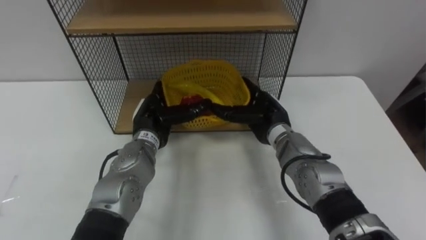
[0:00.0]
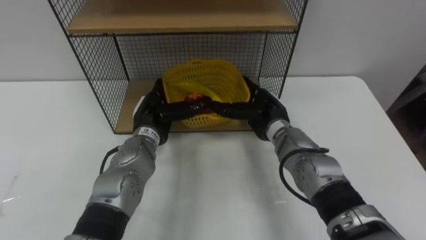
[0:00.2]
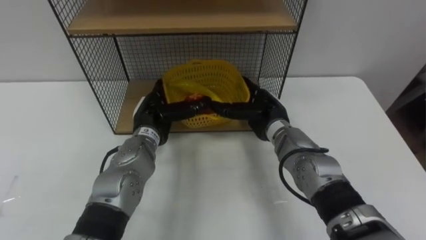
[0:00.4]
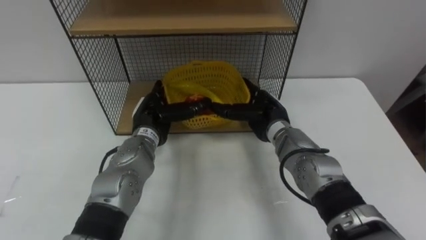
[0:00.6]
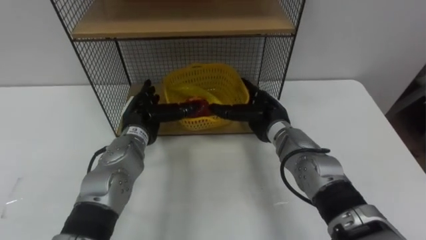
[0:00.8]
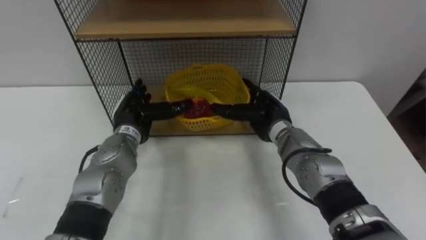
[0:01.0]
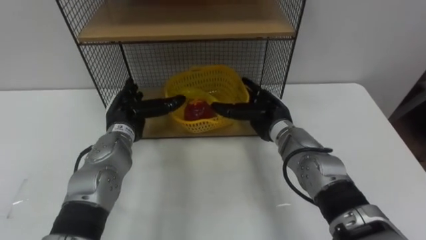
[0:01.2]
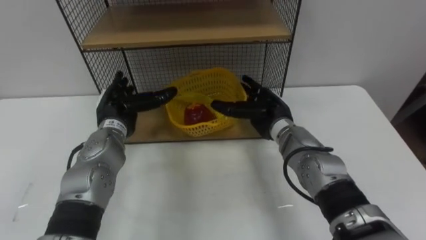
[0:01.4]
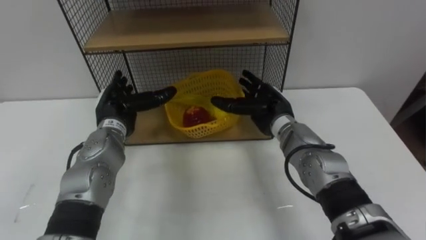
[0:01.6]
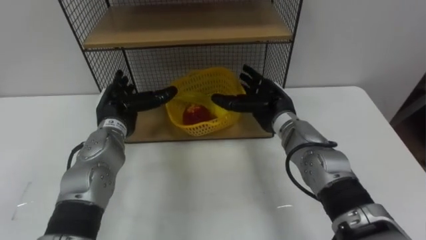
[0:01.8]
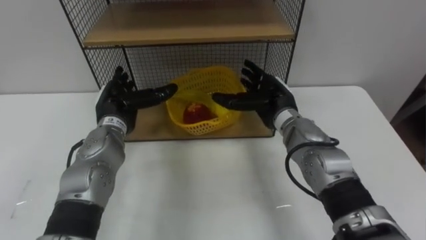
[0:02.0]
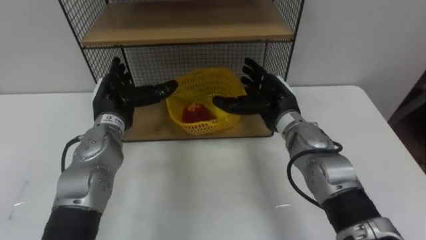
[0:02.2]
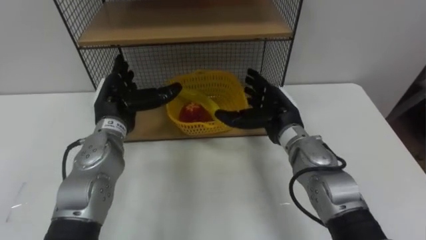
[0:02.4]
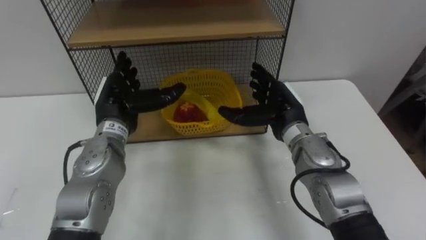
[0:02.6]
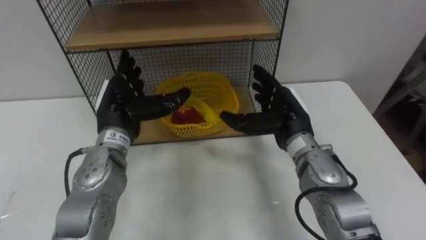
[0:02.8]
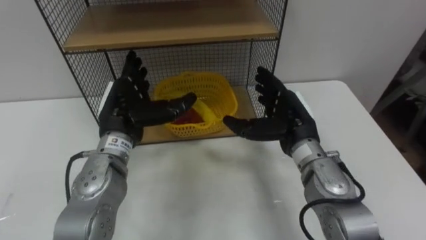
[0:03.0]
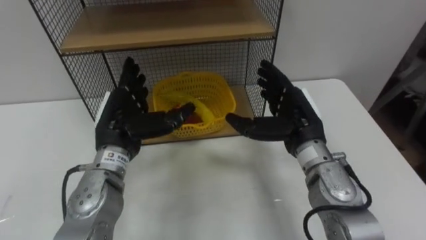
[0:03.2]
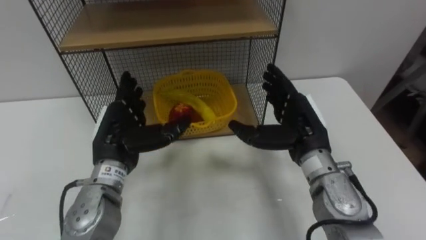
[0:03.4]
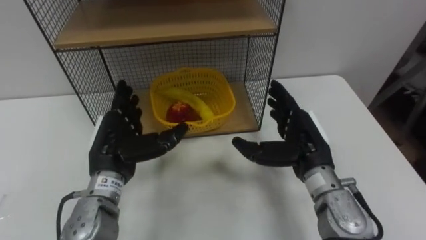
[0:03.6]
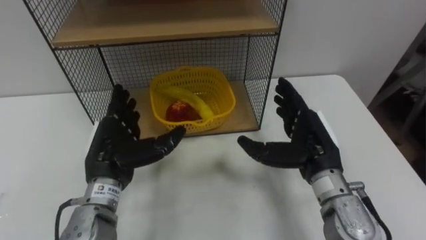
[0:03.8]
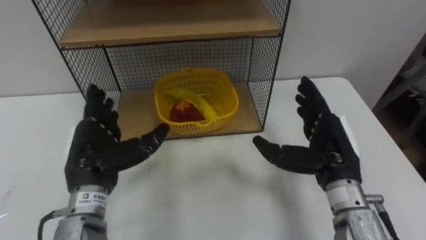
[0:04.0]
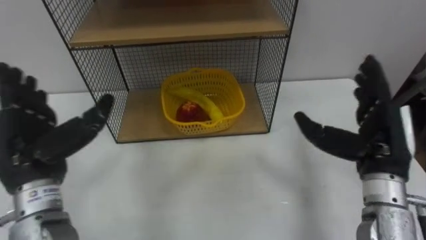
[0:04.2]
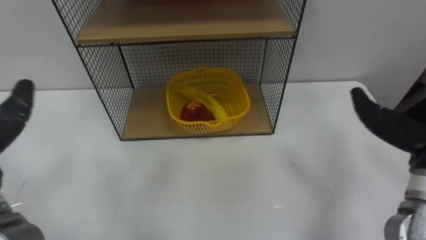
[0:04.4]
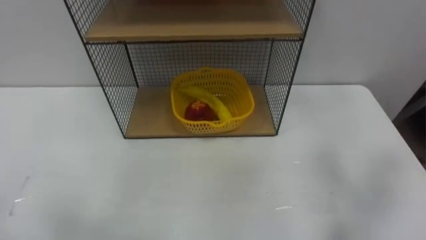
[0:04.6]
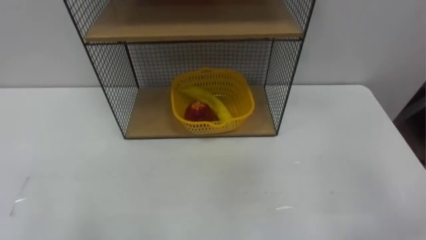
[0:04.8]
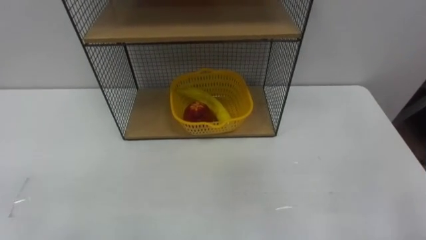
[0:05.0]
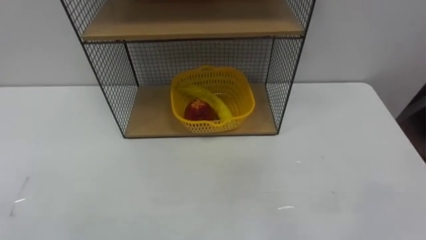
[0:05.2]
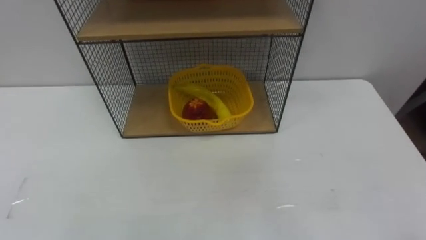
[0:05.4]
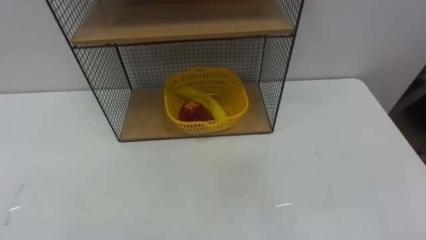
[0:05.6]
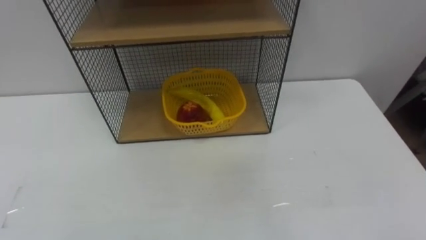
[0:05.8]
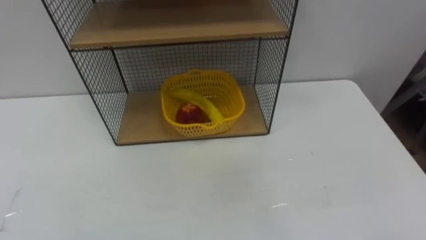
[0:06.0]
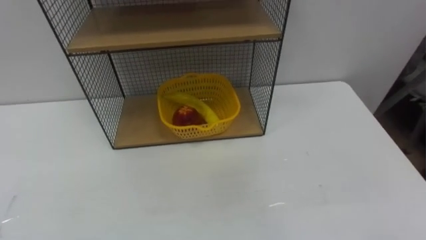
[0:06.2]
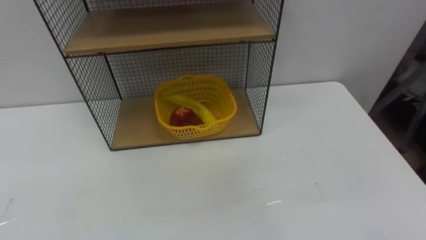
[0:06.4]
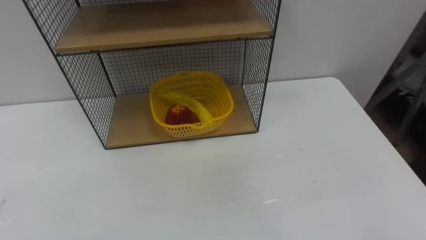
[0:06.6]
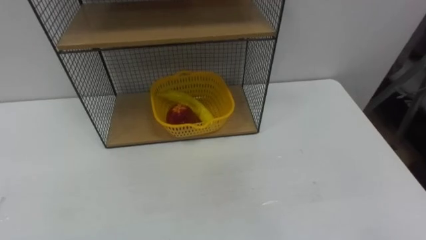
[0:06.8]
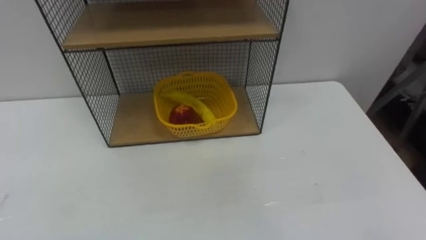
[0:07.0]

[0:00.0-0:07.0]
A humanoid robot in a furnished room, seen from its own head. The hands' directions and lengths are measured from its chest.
Task of the whole recording: Put the fruit on the table into the basket, then place the basket on the shelf.
0.0 to 1.4 s: The left hand heads to the left, covering approximately 5 cm.
1.4 to 2.8 s: The right hand changes place by about 5 cm; the left hand ends up some 5 cm from where it was.
2.8 to 4.2 s: The right hand heads to the right and backward, covering roughly 15 cm, while the left hand moves backward and to the left, roughly 15 cm.

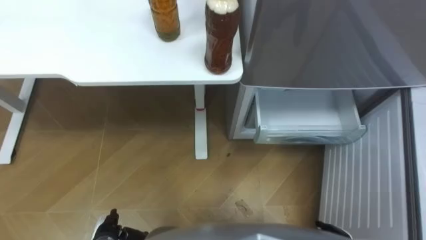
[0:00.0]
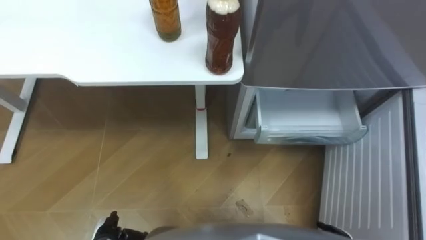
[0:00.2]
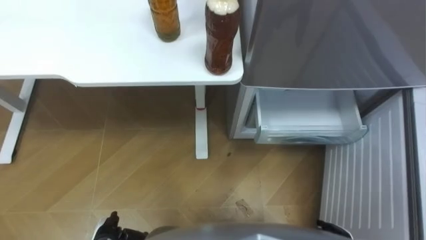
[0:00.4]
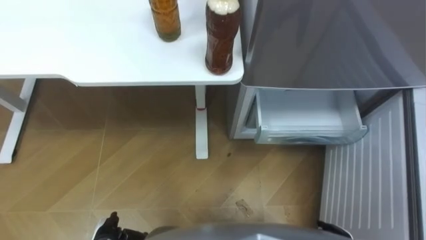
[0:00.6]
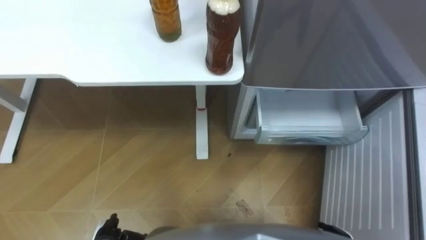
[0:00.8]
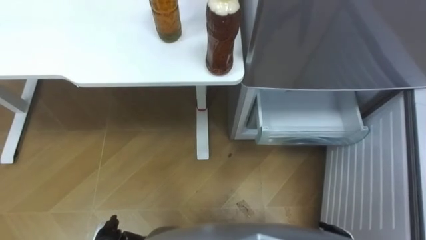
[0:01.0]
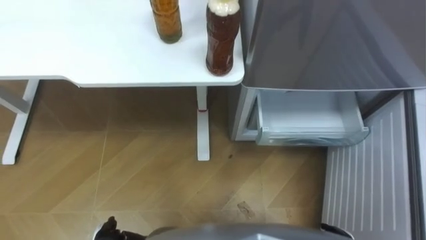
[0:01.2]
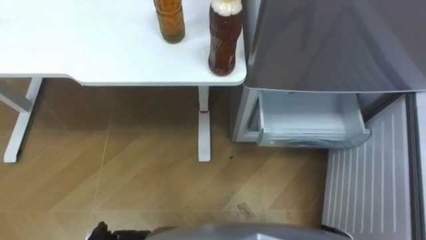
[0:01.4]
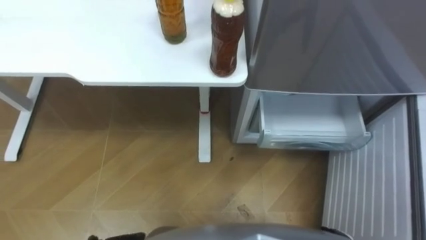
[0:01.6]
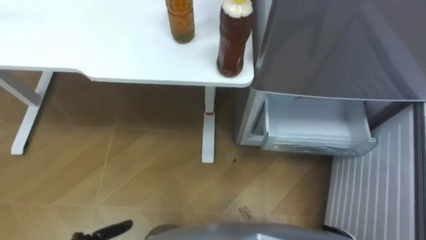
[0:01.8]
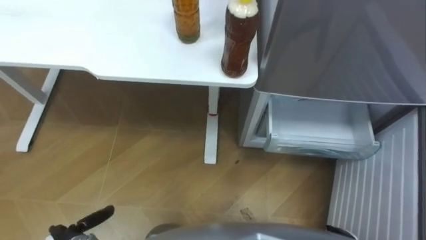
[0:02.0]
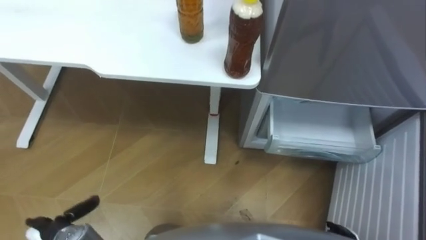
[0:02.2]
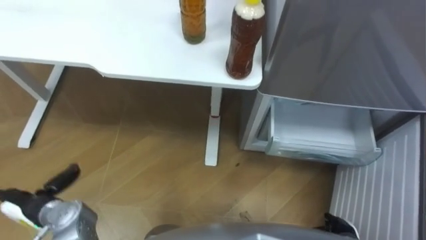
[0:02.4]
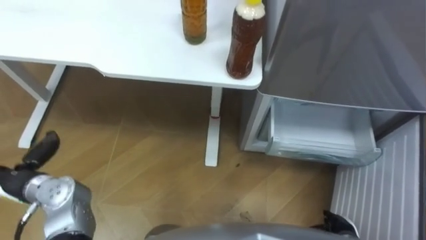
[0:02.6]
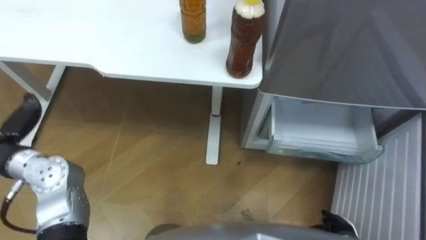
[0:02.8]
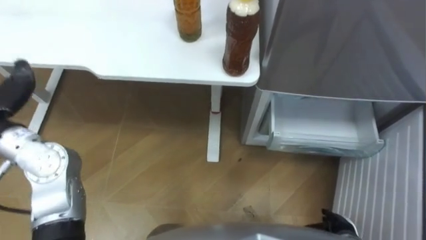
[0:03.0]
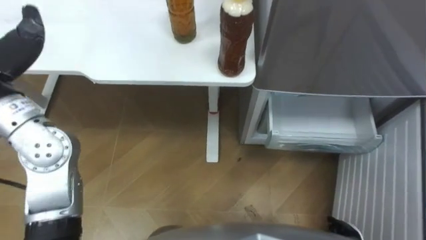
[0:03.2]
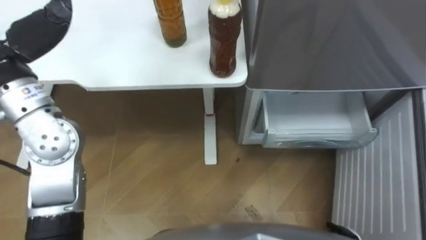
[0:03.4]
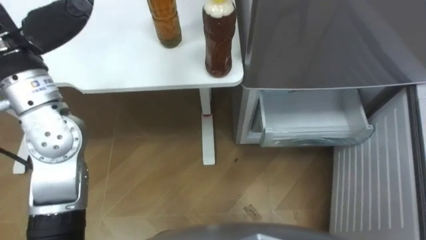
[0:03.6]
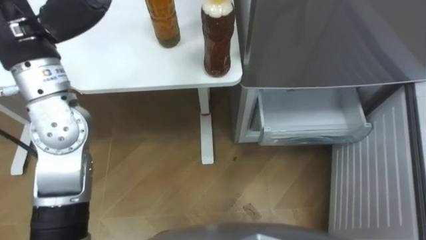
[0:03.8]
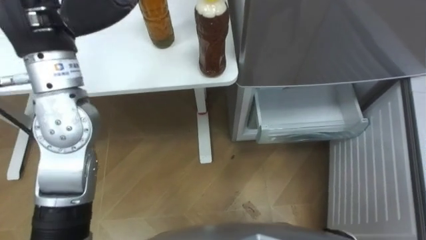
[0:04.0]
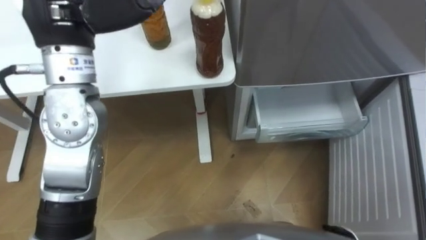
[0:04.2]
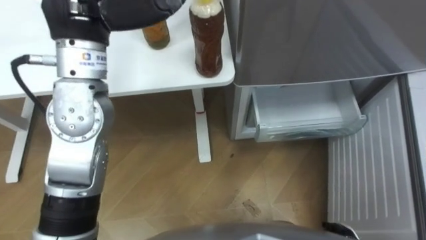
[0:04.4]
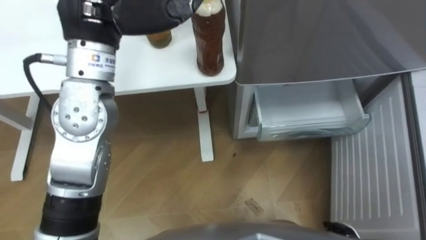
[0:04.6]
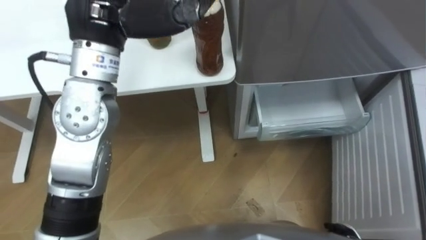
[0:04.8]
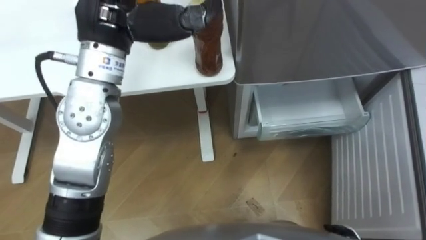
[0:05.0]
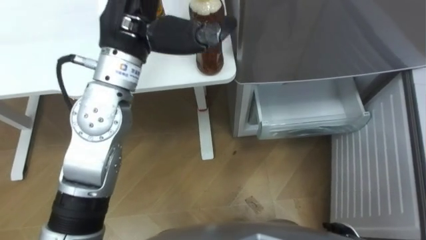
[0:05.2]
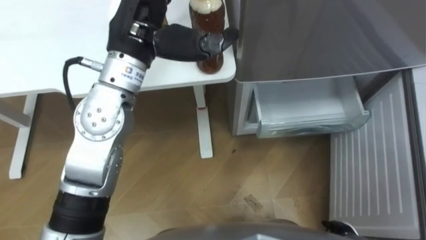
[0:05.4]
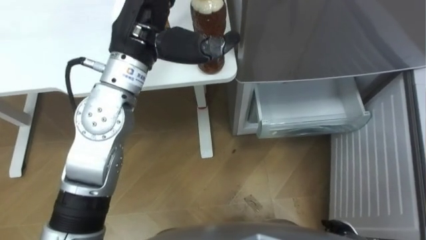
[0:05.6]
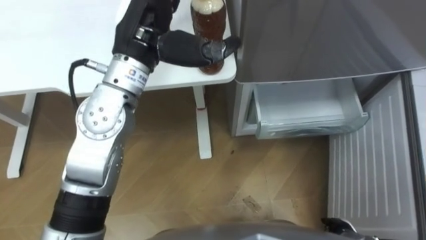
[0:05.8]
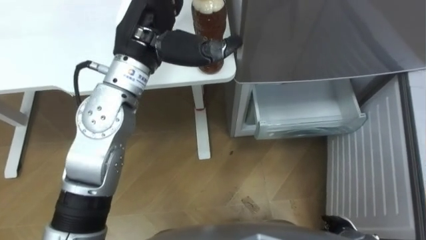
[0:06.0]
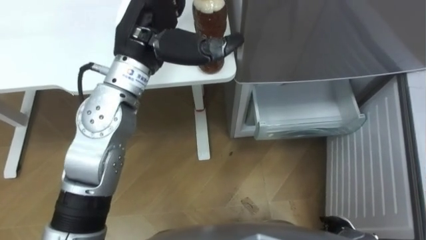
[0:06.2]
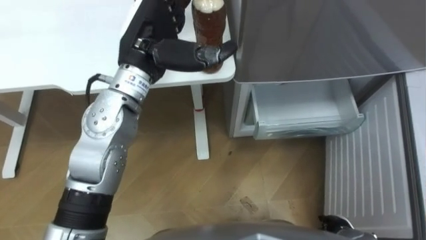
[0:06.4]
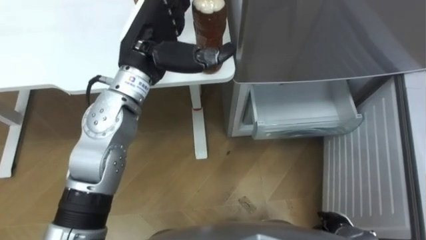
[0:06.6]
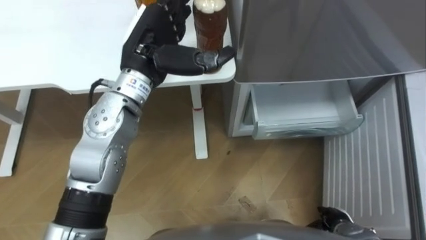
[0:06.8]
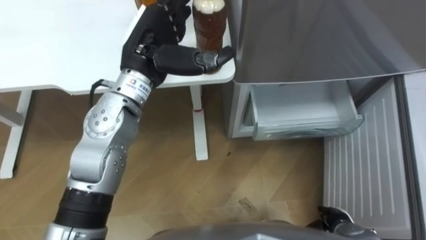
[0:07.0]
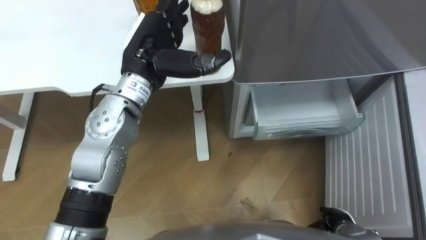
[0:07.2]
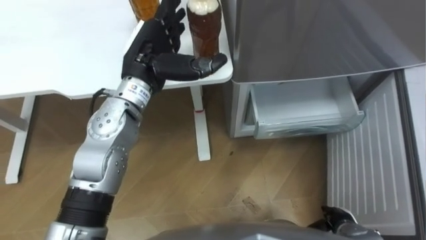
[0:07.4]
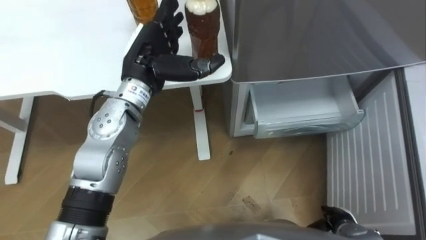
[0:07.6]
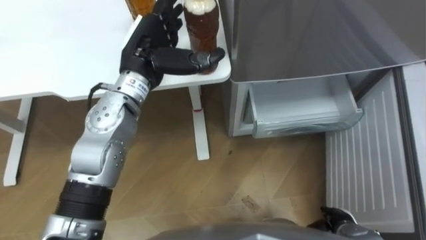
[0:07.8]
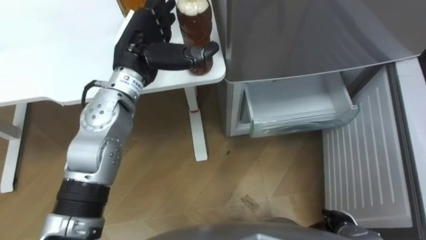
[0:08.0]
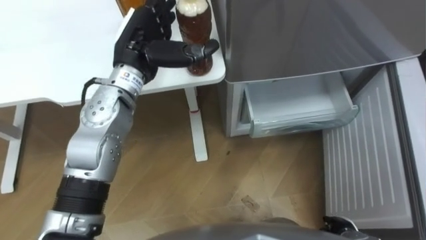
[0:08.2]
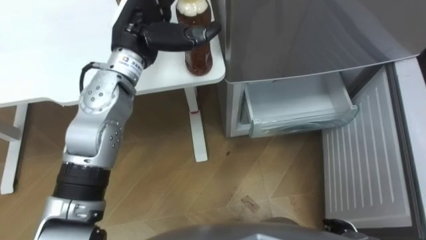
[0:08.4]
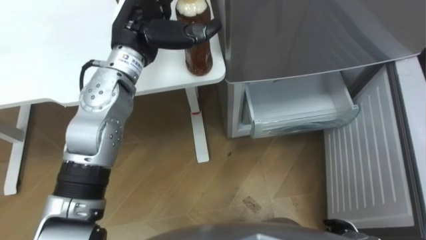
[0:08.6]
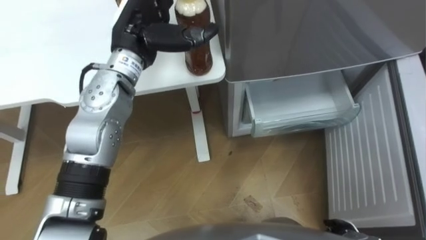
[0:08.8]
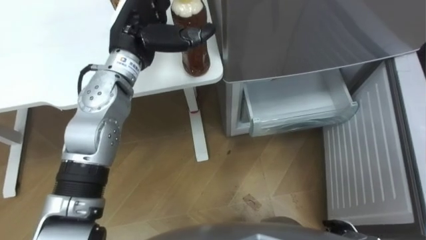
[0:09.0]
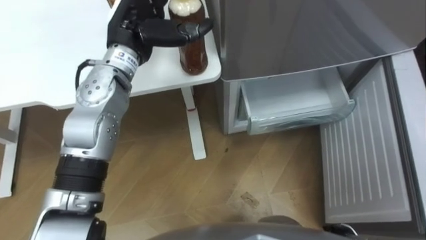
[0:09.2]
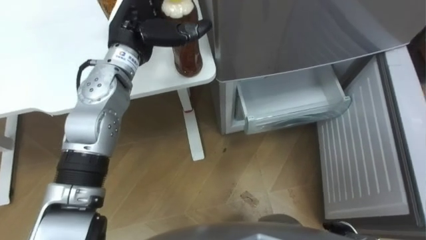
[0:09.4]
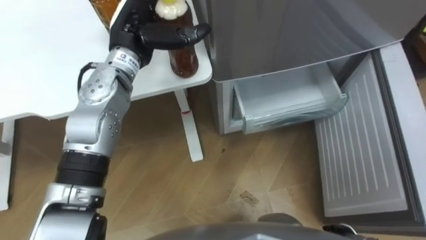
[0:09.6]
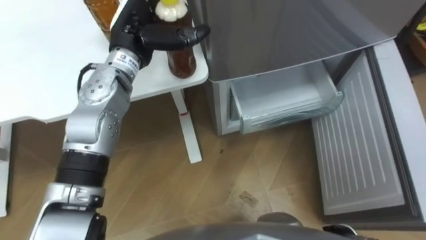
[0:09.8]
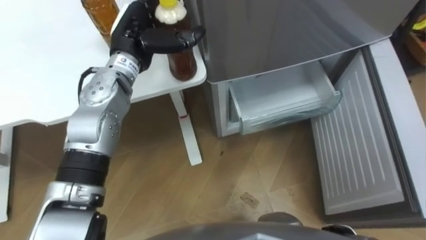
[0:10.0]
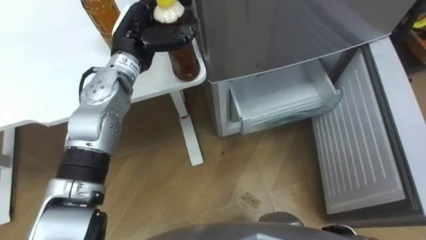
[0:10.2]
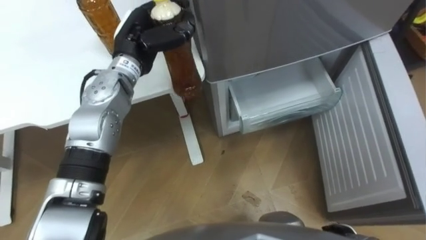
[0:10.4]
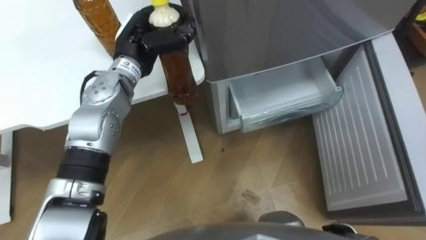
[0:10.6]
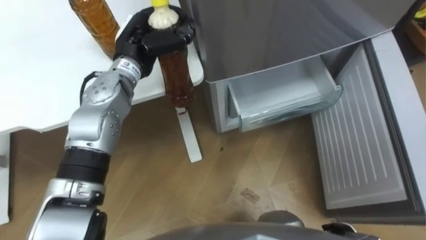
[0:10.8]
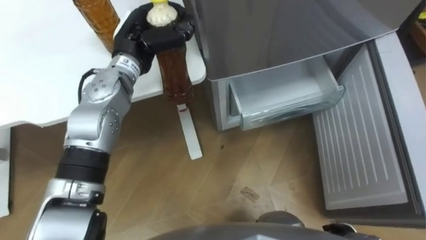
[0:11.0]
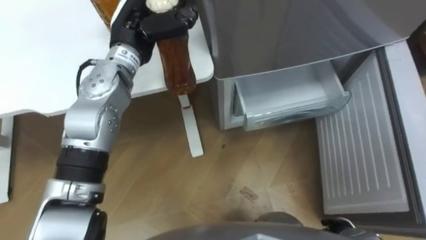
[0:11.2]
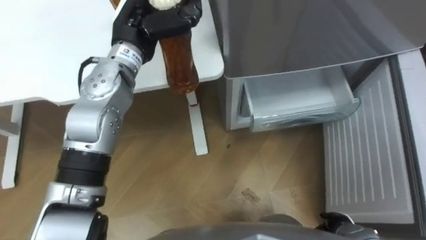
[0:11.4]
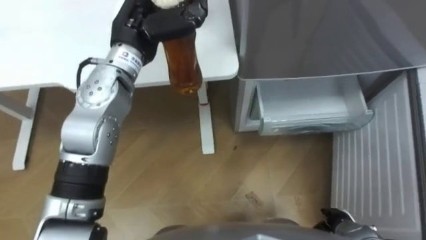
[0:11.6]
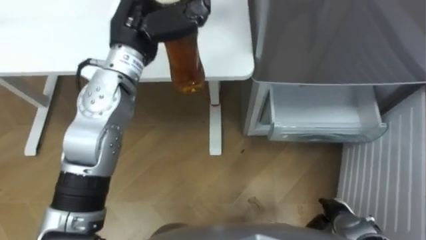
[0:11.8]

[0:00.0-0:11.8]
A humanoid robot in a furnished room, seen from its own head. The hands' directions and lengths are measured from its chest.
Task of the whole recording: Place the drink on the table on the bottom shelf of the refrigerator, then close the drawer and the refrigerator door.
4.4 to 6.0 s: The left hand is displaced downward and to the right by some 10 cm.
6.0 to 7.4 s: The left hand is displaced downward by some 10 cm.
8.8 to 10.4 s: The left hand ends up roughly 5 cm from where it was, and closes its fingers.
10.4 to 11.8 s: The left hand goes roughly 5 cm upward.
